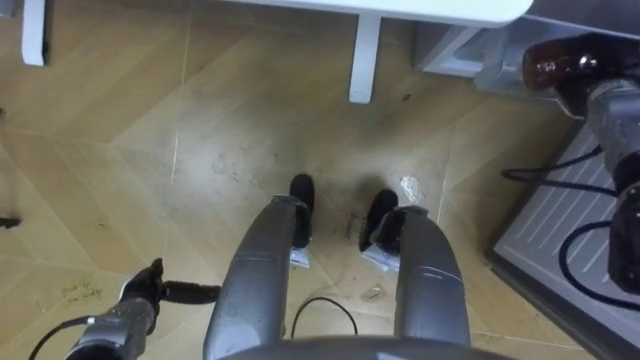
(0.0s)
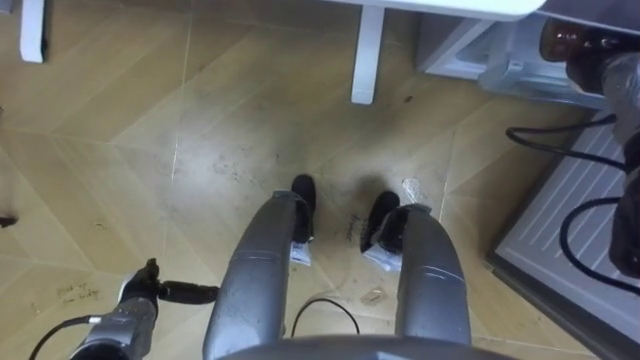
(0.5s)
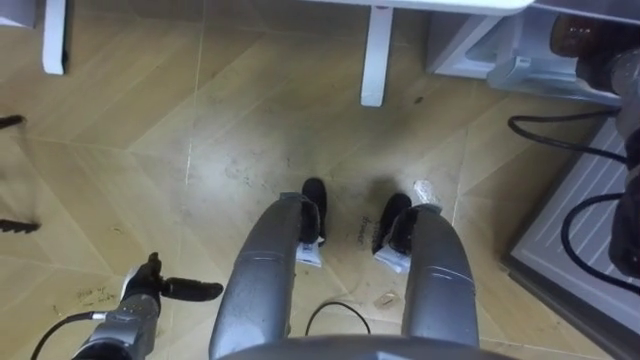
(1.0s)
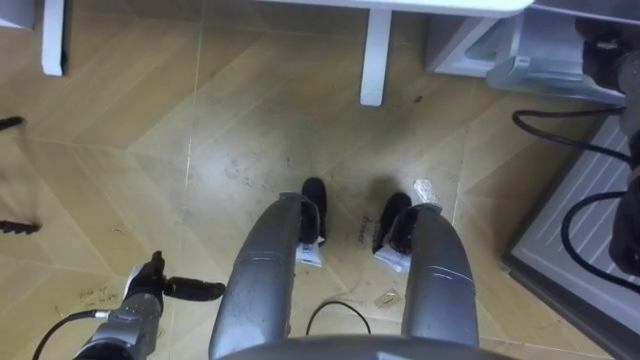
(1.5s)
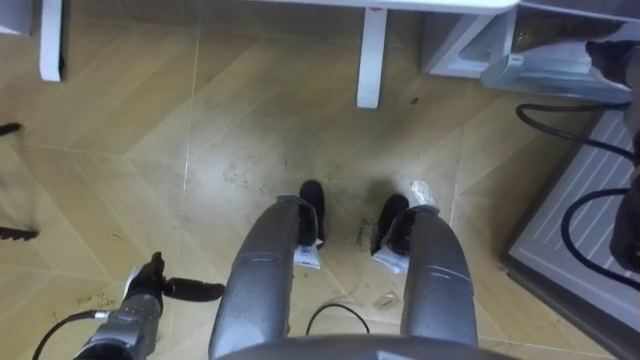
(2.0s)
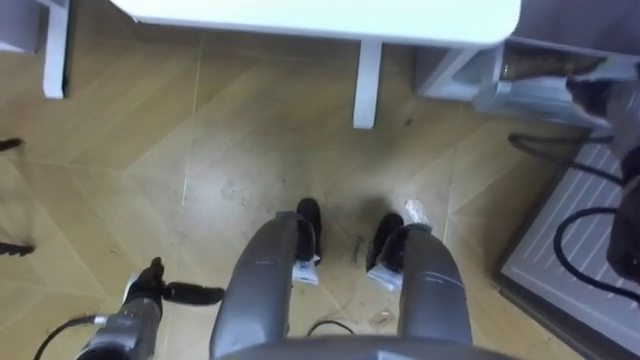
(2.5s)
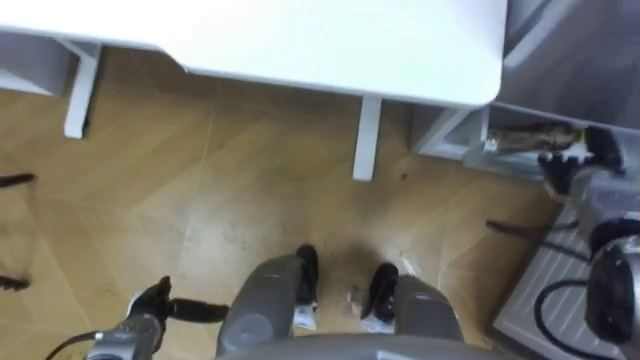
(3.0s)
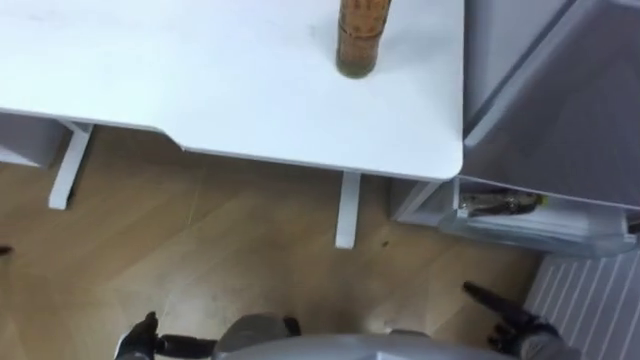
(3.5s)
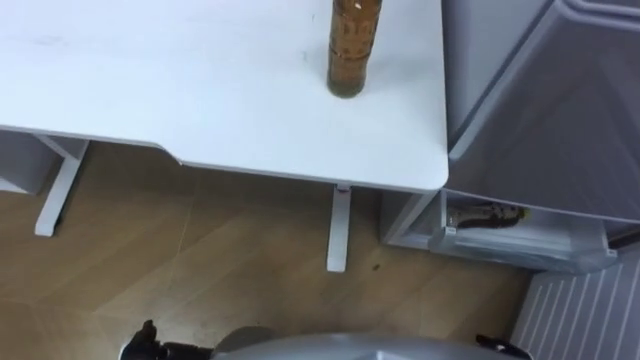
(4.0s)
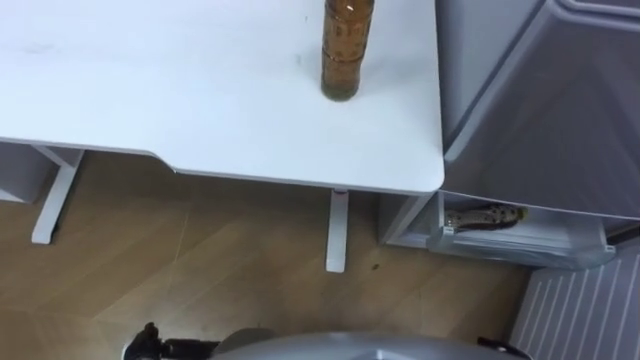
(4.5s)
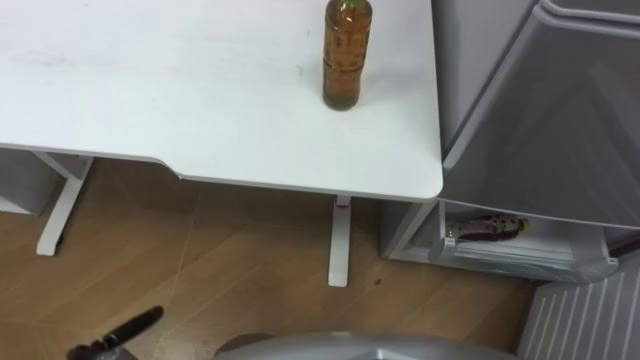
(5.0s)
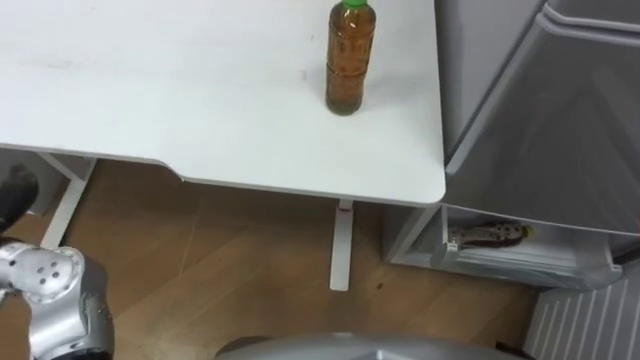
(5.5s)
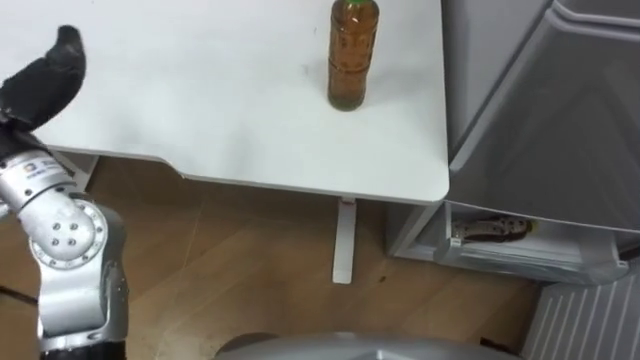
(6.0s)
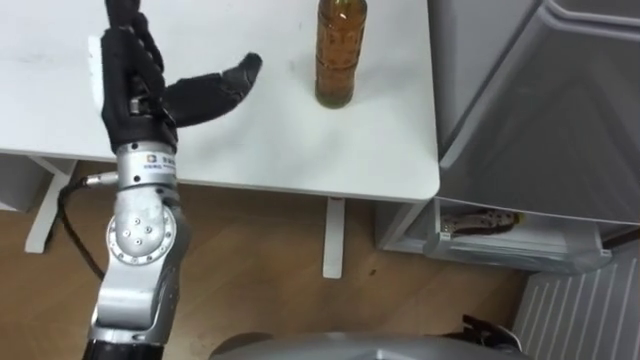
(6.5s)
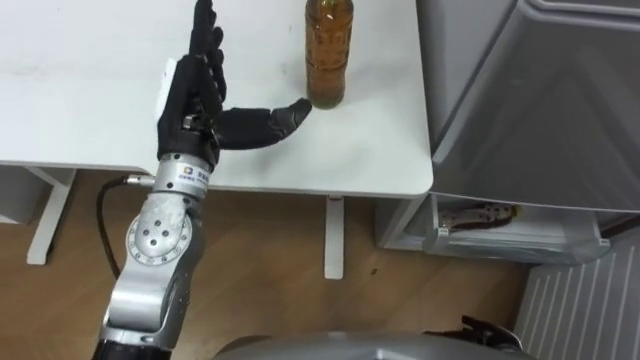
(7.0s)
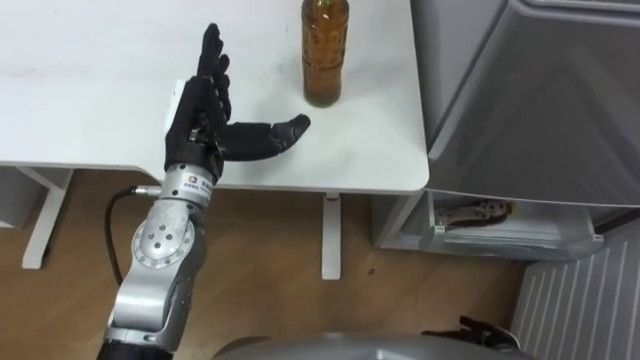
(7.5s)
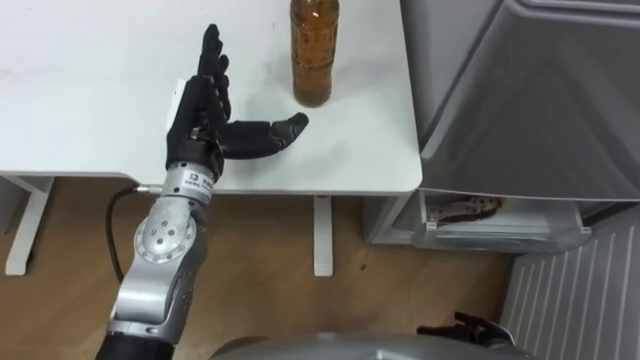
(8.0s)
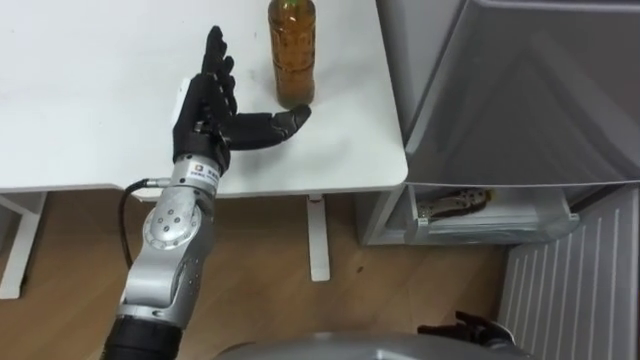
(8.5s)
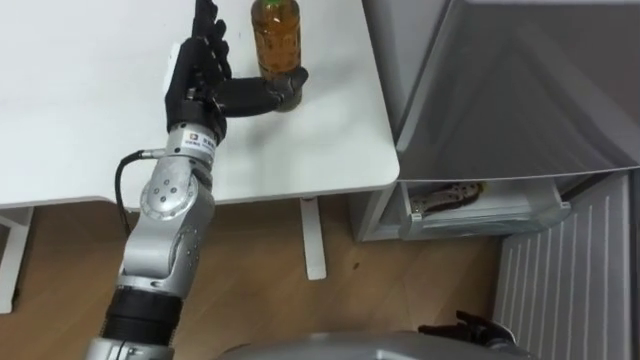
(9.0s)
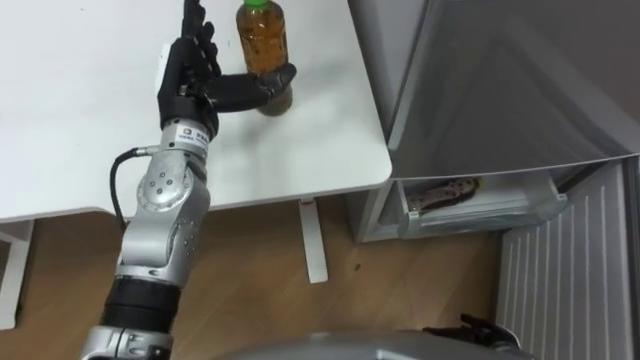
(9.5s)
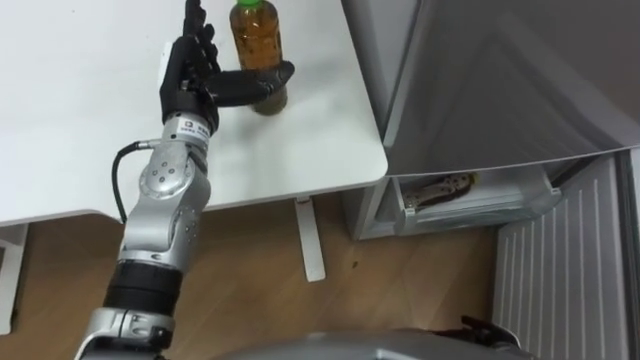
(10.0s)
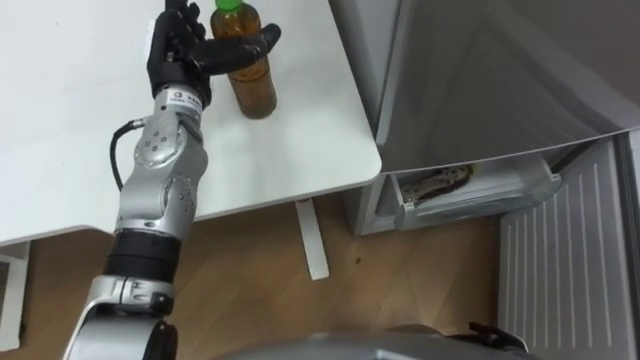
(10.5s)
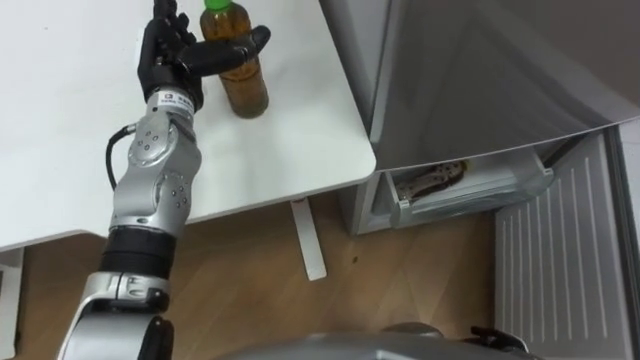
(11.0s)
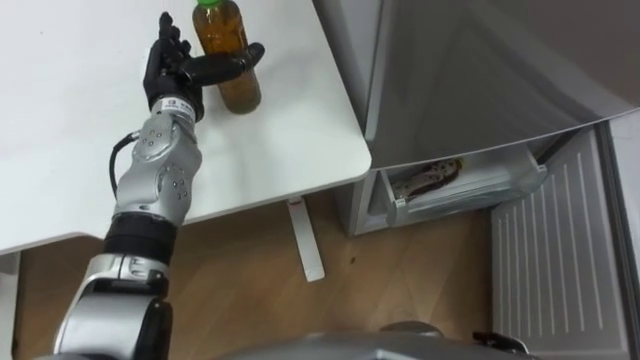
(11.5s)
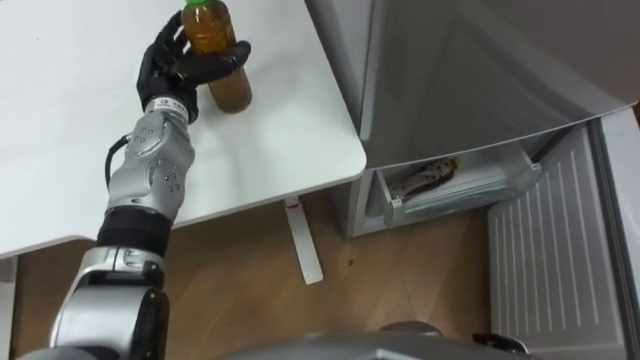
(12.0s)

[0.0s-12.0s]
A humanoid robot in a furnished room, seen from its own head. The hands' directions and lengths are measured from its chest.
Task of the whole recording: Place the drink on the table on the bottom shelf of the refrigerator, then close the drawer and the refrigerator door.
0.0s to 2.0s: The right hand changes place by some 5 cm, and opens up.
8.0s to 10.0s: The left hand shifts some 5 cm forward.
10.0s to 12.0s: The left hand moves about 5 cm.

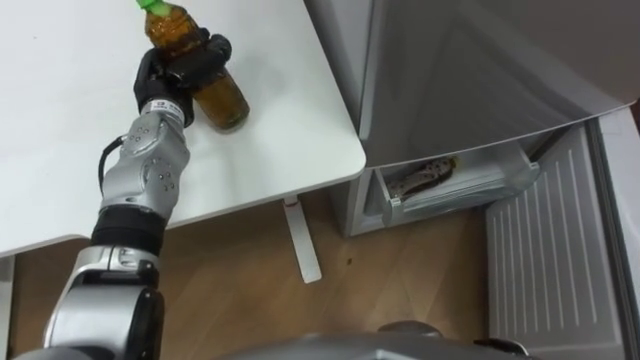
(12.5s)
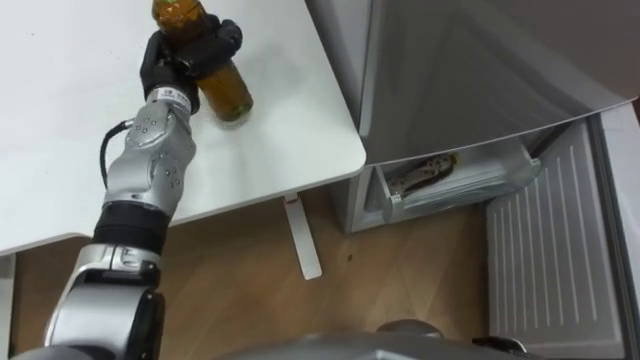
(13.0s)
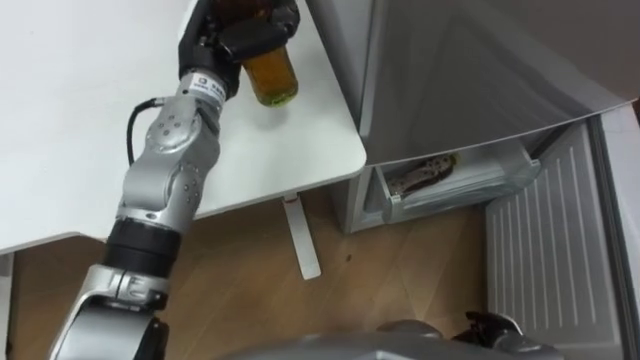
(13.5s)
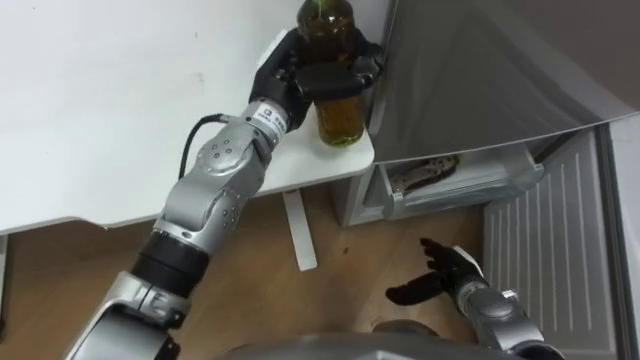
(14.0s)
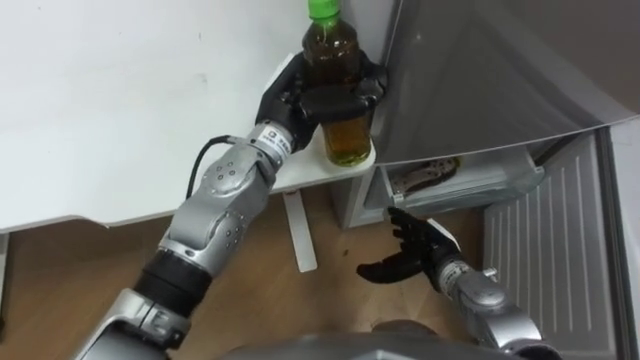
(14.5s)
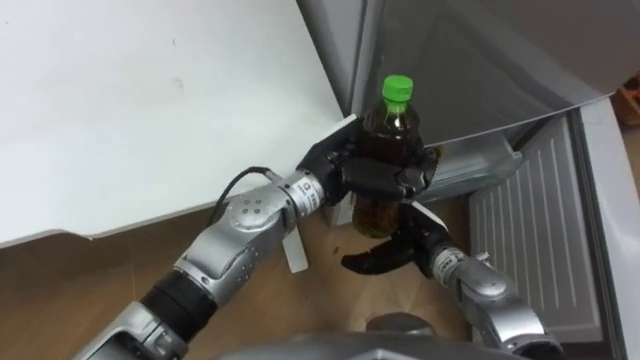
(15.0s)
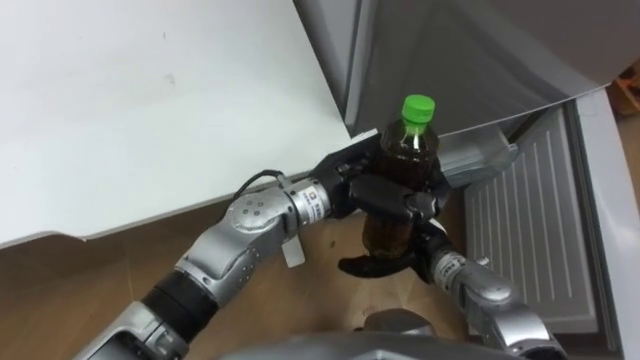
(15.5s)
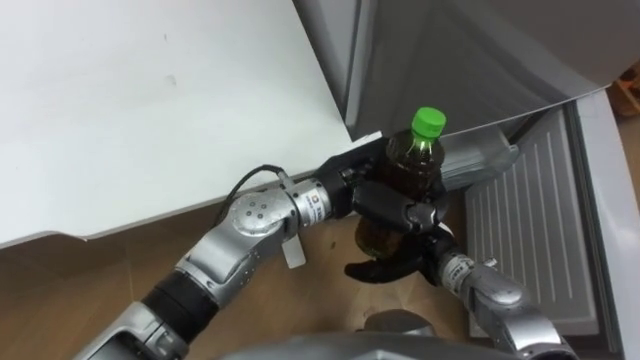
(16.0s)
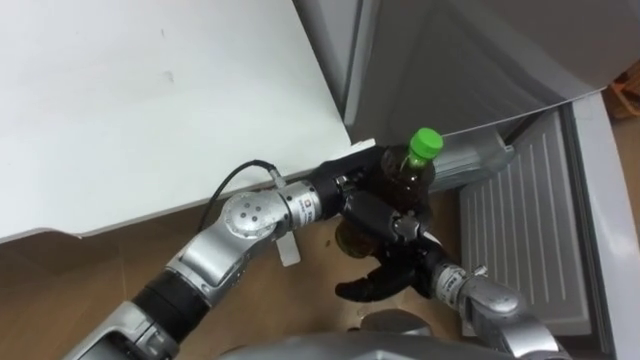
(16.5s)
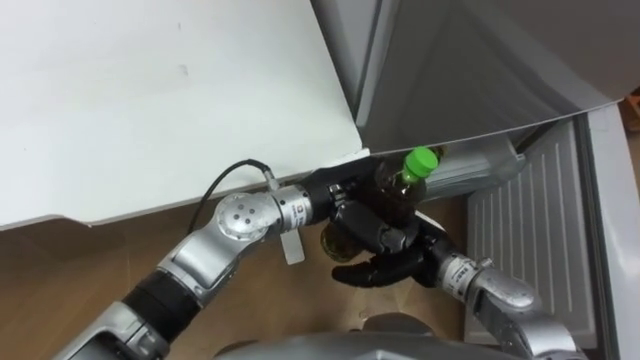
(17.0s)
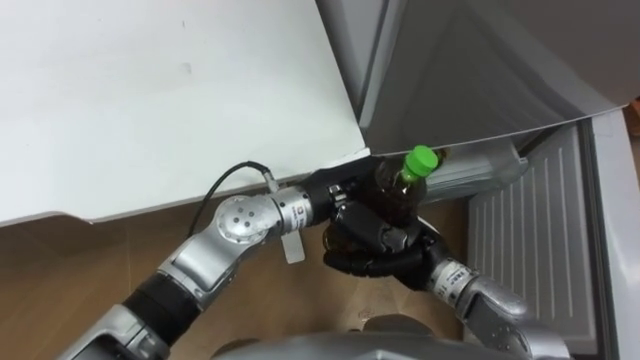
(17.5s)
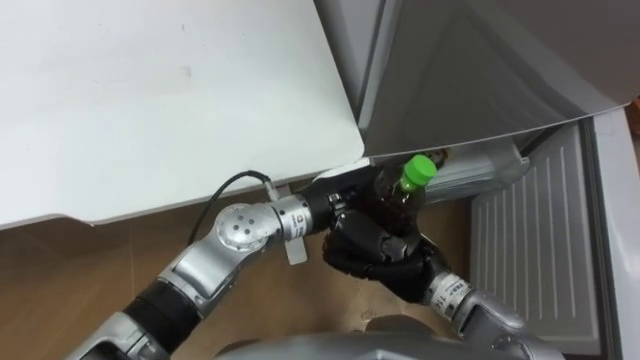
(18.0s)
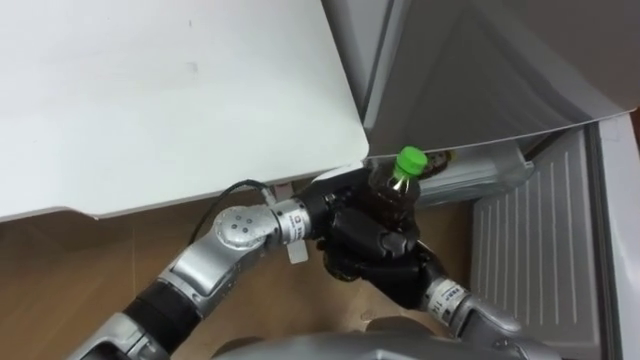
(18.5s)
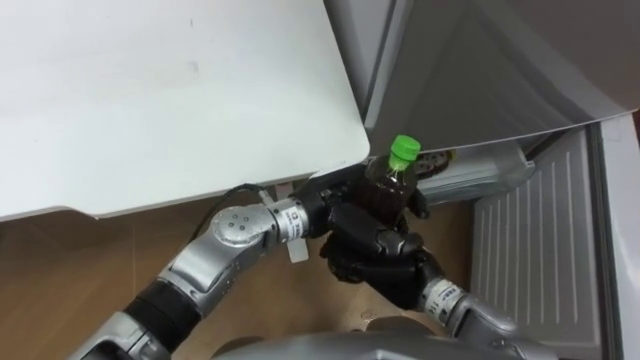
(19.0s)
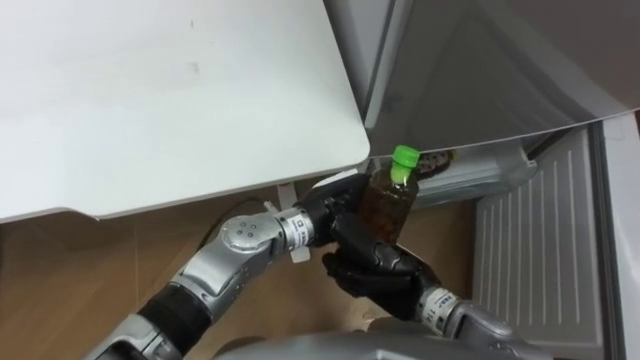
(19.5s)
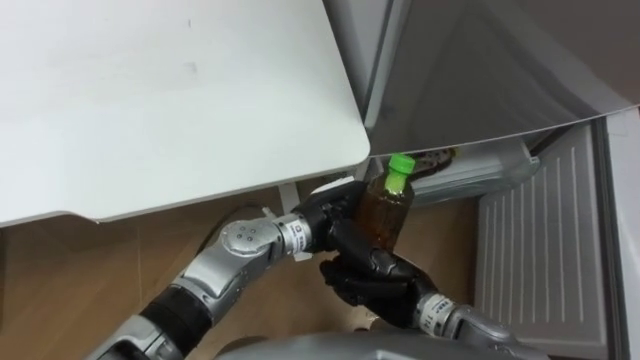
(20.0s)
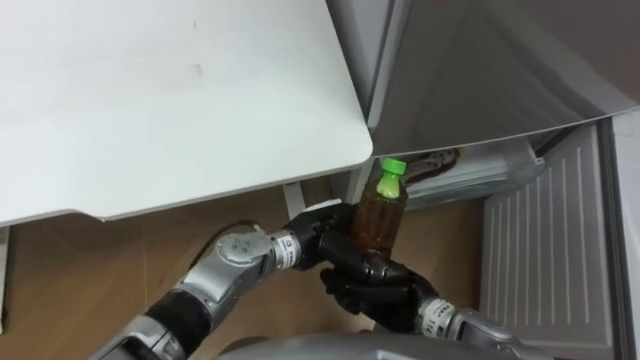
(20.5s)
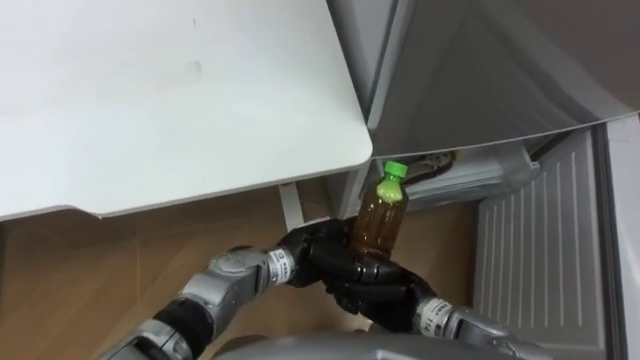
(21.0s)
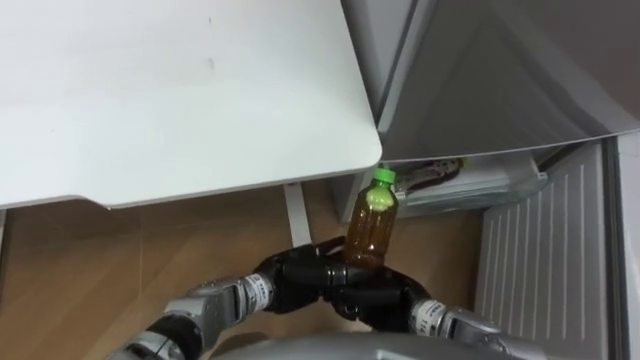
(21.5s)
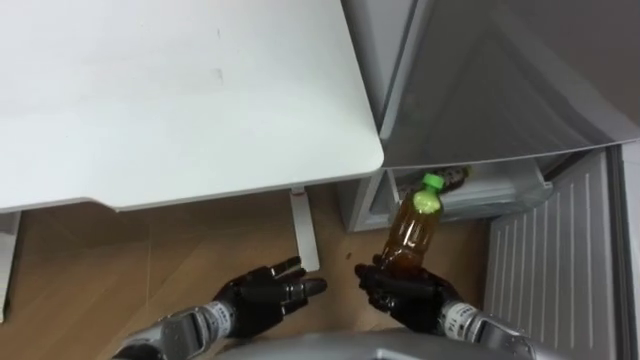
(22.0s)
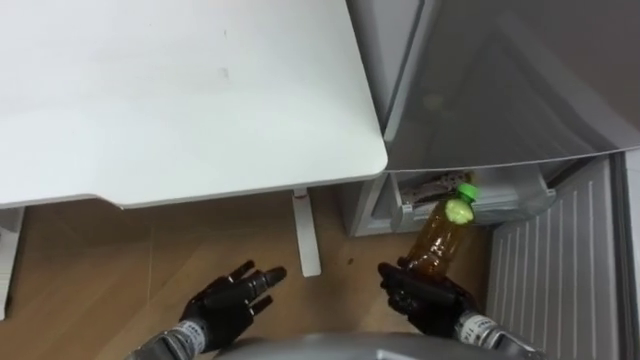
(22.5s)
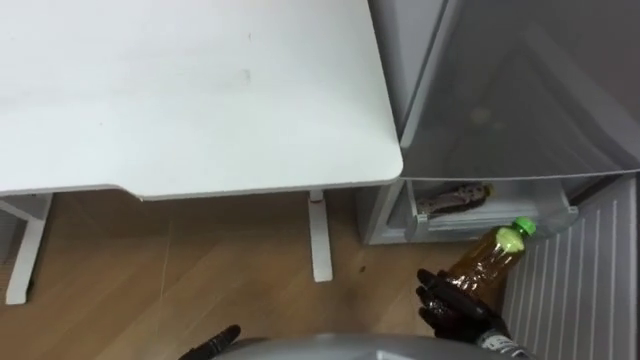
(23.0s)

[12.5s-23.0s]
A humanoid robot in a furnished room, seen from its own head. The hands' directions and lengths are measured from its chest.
Task of the whole recording: Place the drink on the table on the bottom shelf of the refrigerator, then close the drawer and the refrigerator door.
12.5s to 14.5s: The left hand is displaced to the right by roughly 20 cm.
14.5s to 16.5s: The left hand heads backward and to the right, covering some 10 cm.
16.5s to 19.0s: The right hand closes.
19.0s to 21.0s: The left hand heads downward, covering approximately 10 cm, and opens up.
21.0s to 23.0s: The right hand heads to the right and downward, covering approximately 15 cm.
